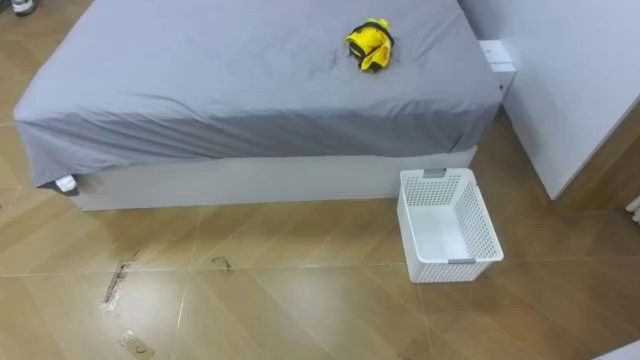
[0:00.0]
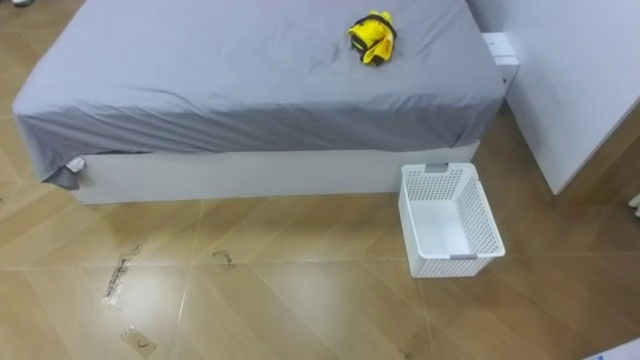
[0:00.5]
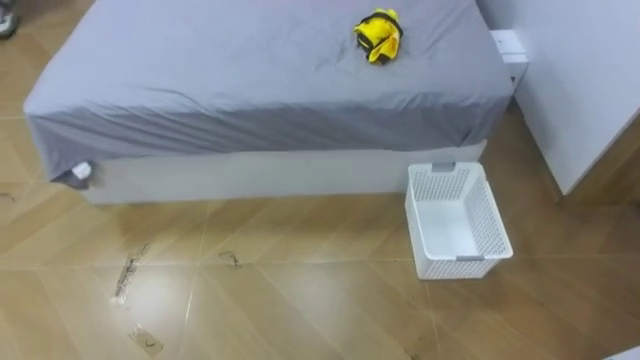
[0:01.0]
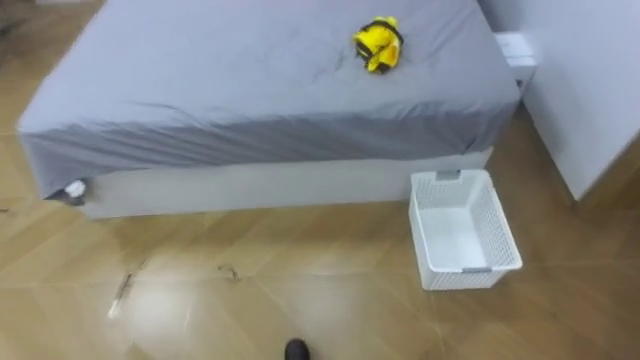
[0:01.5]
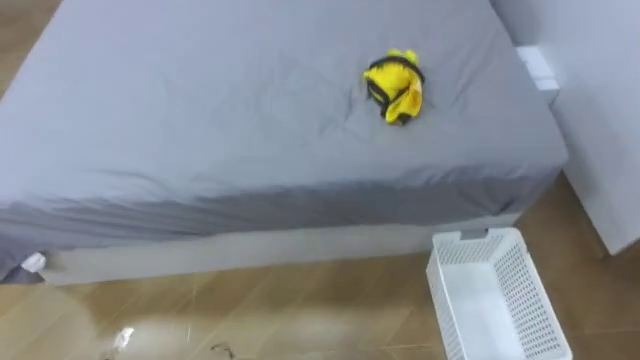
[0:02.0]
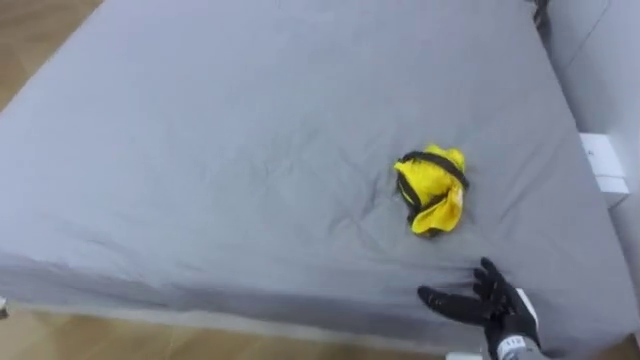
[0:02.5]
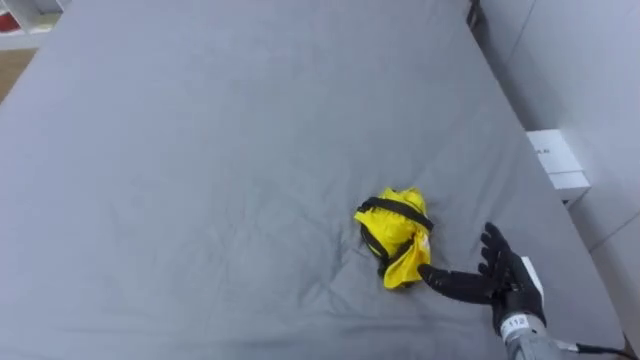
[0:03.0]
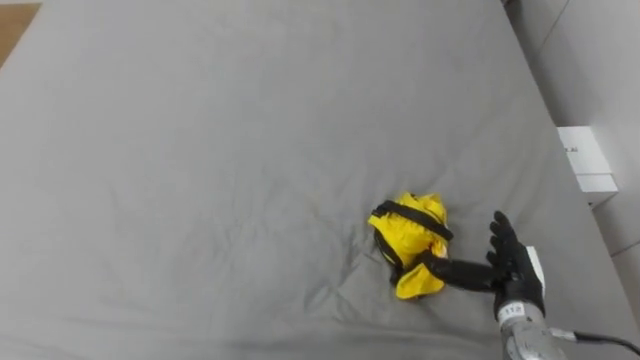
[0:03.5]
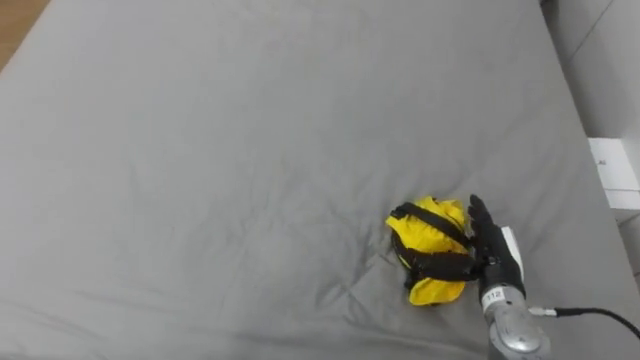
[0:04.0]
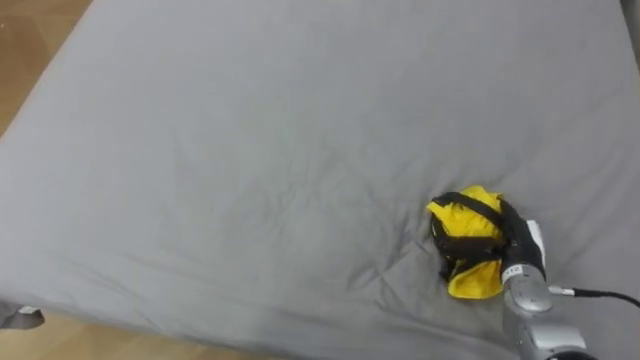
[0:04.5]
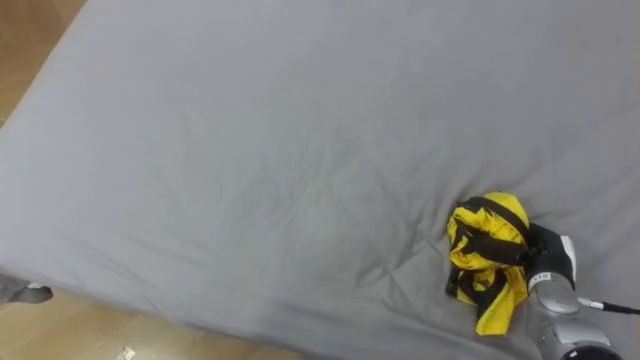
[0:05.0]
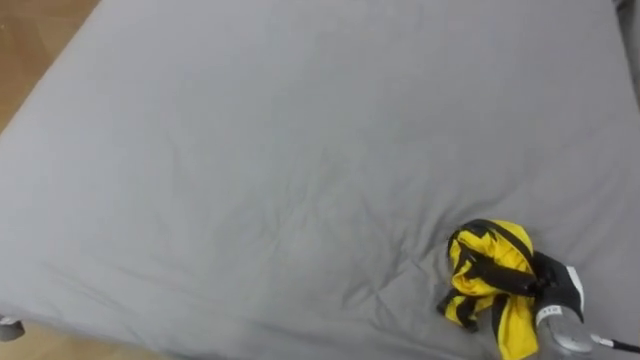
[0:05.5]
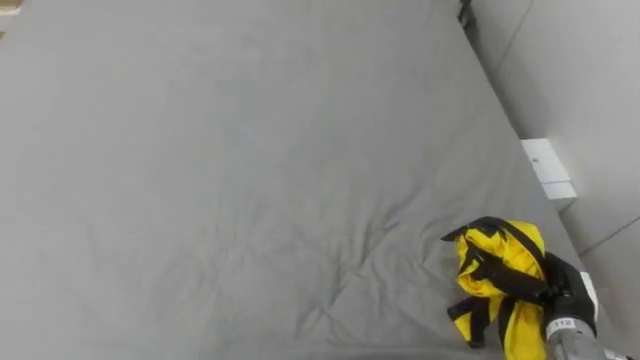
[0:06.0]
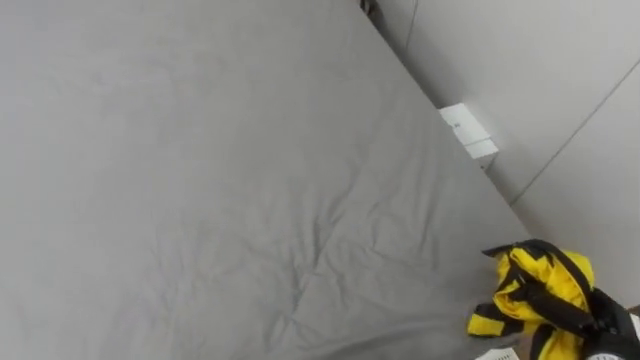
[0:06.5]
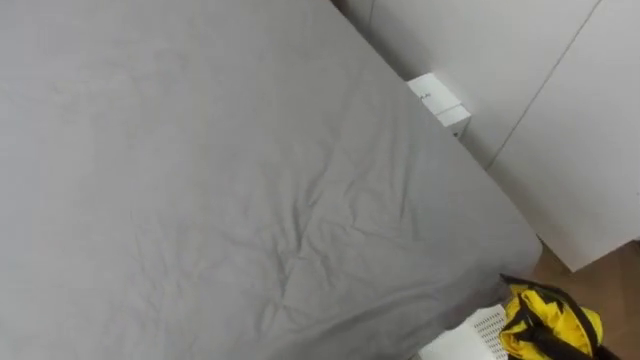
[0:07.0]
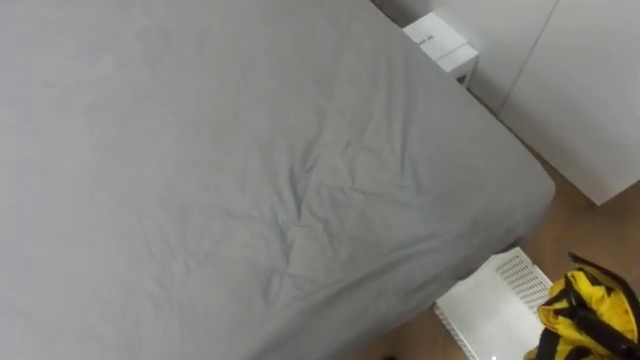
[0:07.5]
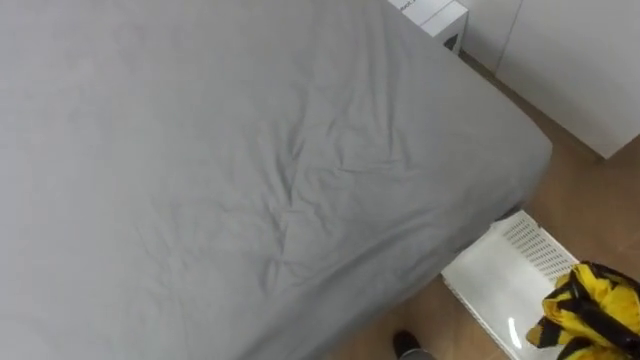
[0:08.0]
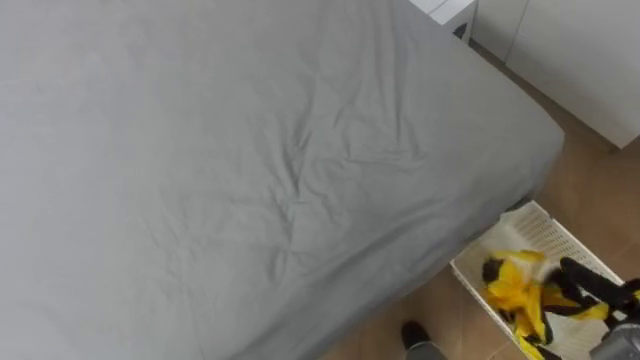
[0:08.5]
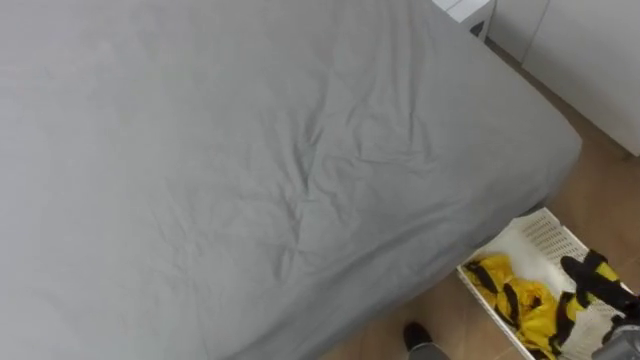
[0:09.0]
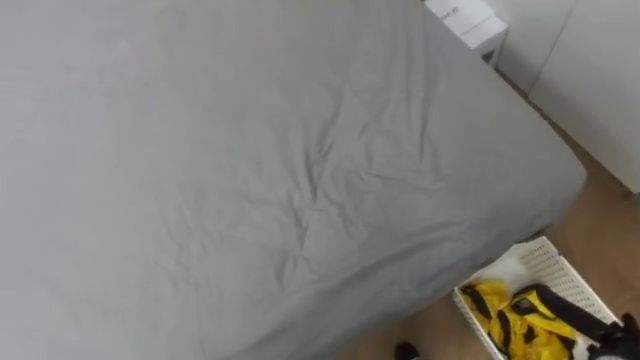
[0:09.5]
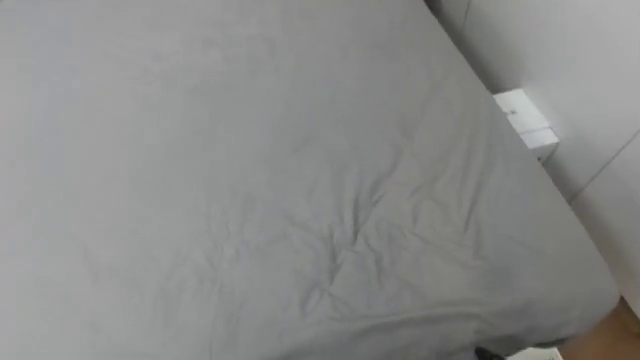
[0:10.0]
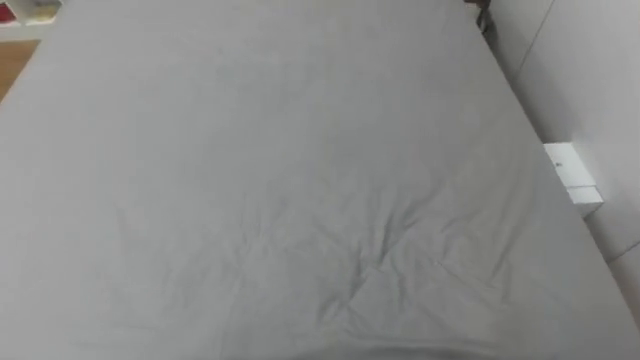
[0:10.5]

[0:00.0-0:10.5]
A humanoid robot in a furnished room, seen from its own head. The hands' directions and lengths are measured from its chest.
Task of the whole recording: Pick up the yellow clothes on the bed and place them into the white basket on the right.
0:04.0 to 0:06.5: The right hand travels to the right and backward by some 15 cm, and closes its fingers.
0:08.5 to 0:10.5: The robot turns to its left by approximately 20 degrees.

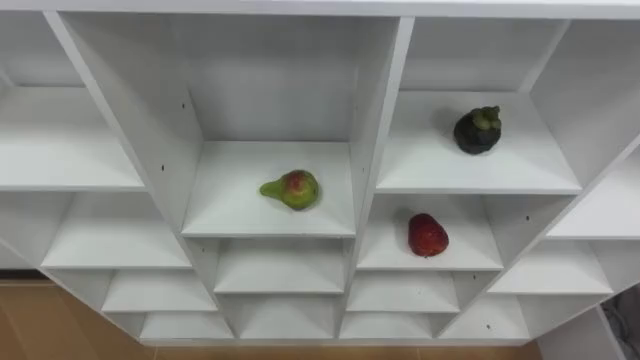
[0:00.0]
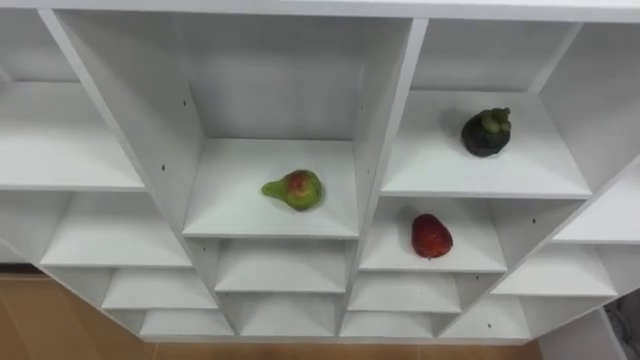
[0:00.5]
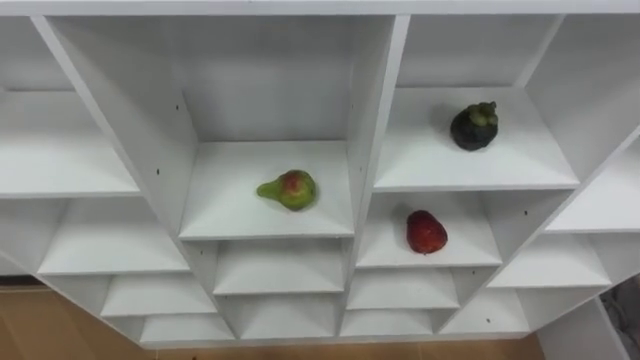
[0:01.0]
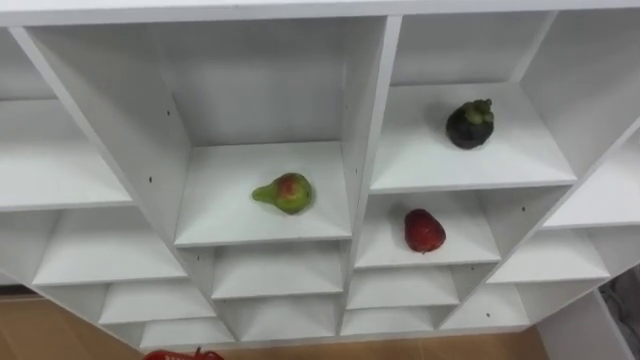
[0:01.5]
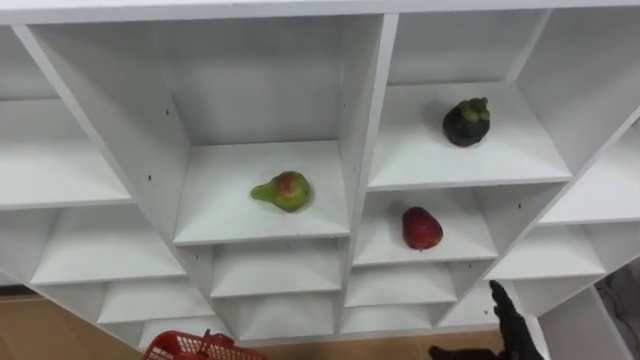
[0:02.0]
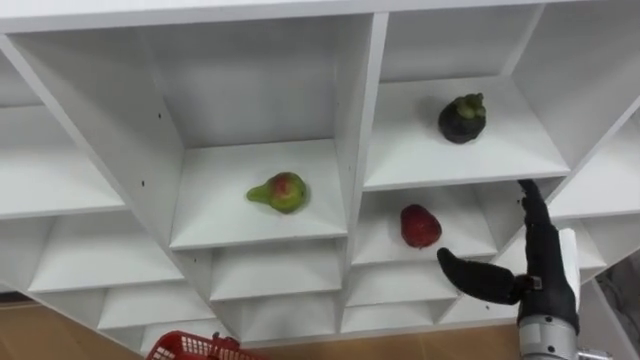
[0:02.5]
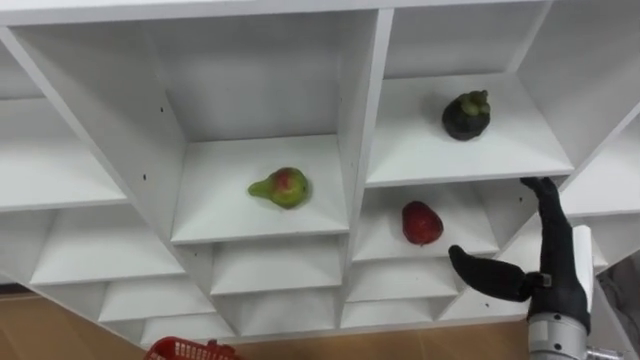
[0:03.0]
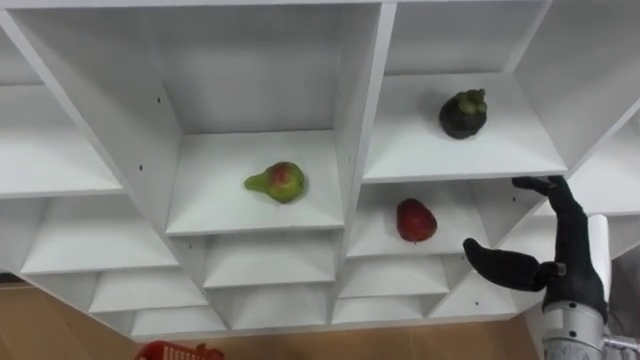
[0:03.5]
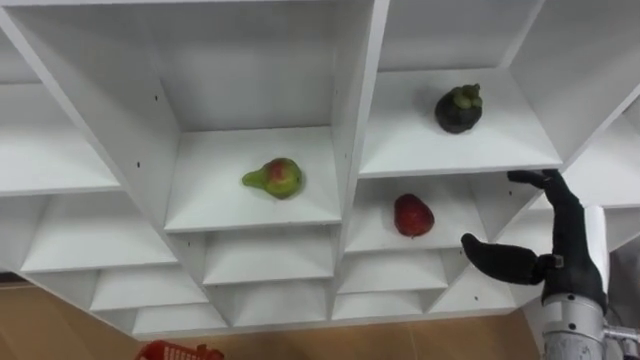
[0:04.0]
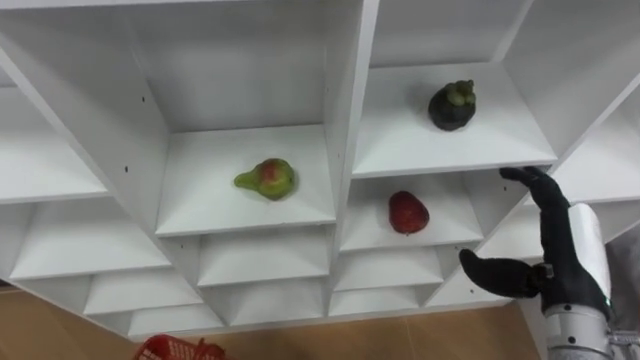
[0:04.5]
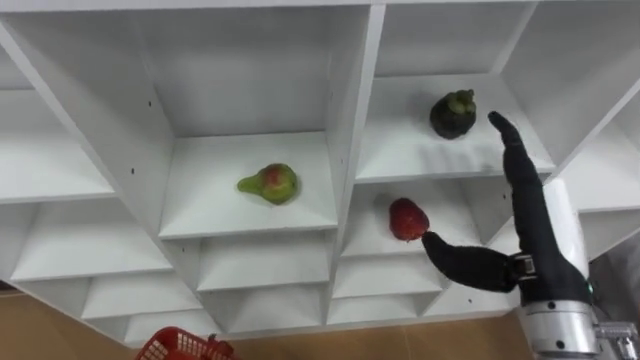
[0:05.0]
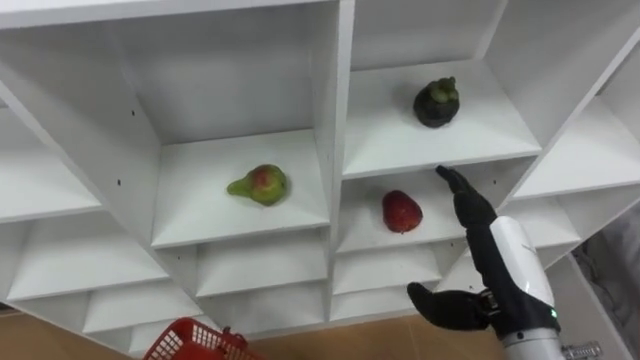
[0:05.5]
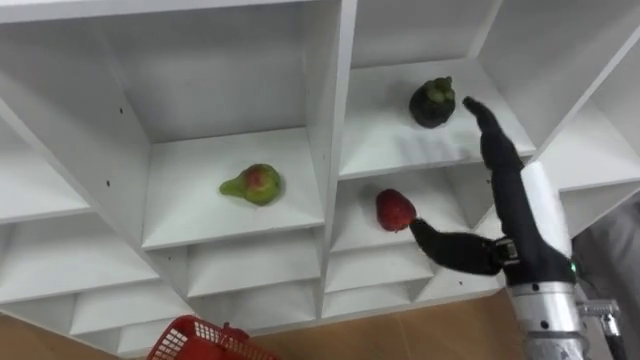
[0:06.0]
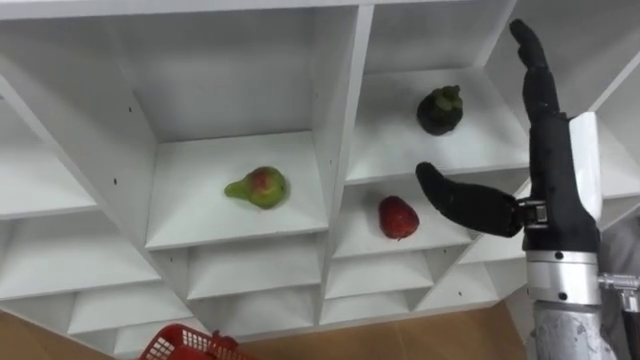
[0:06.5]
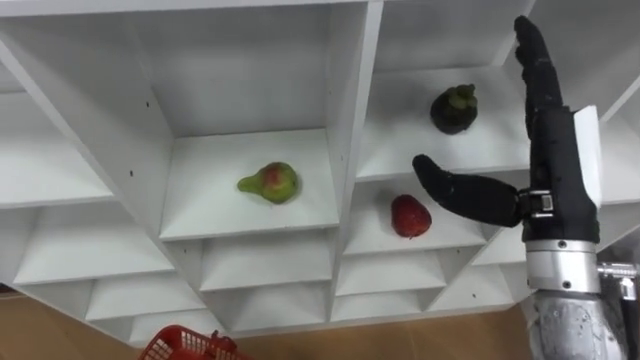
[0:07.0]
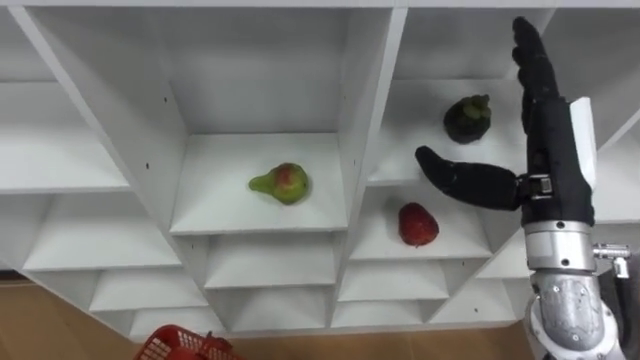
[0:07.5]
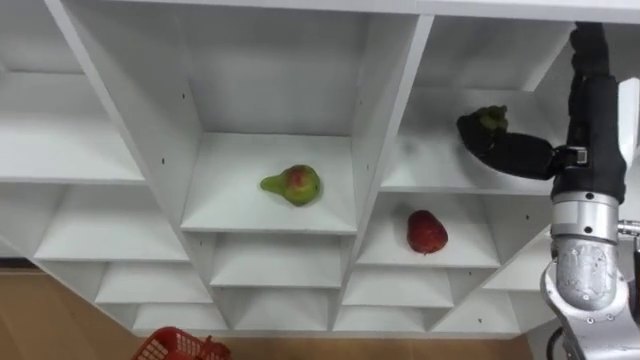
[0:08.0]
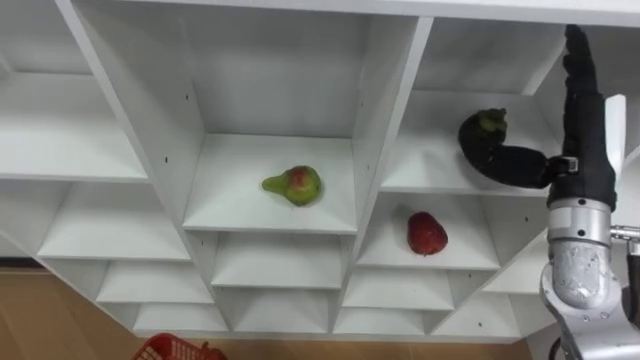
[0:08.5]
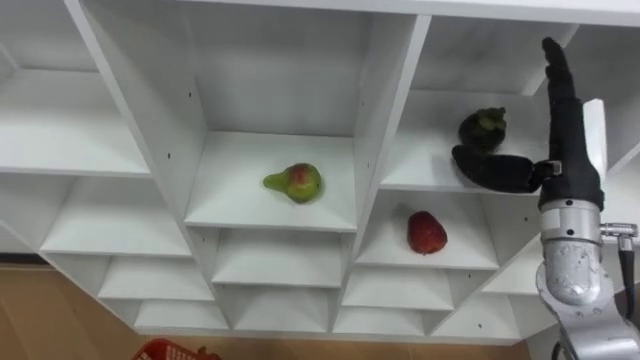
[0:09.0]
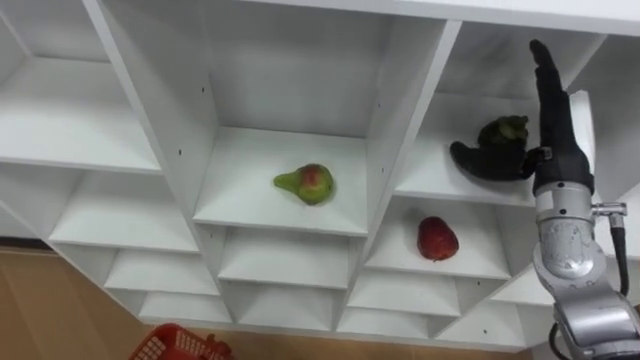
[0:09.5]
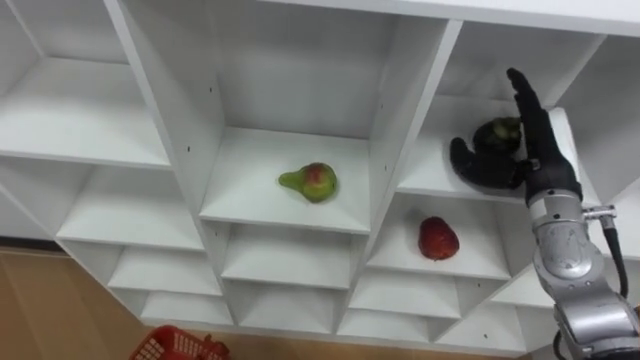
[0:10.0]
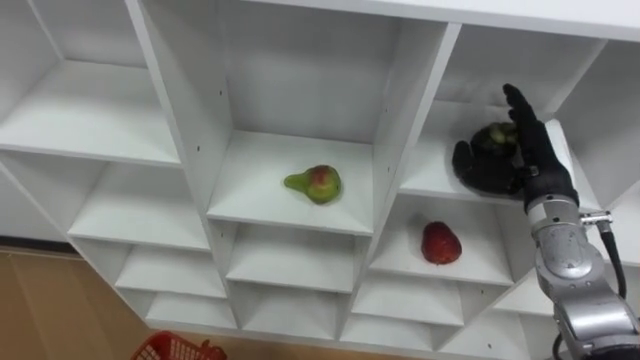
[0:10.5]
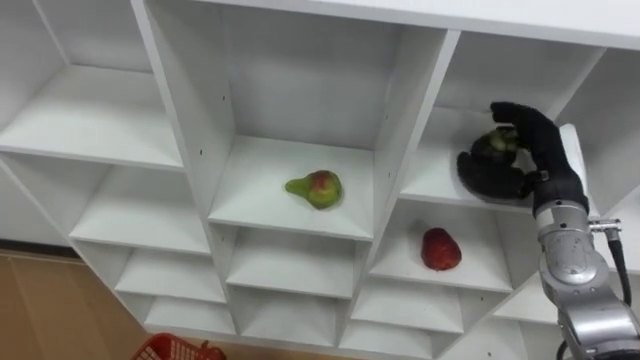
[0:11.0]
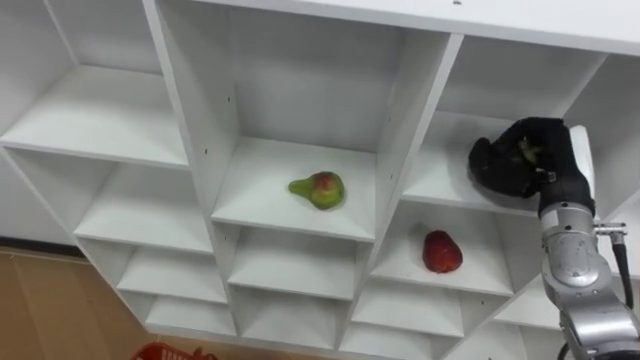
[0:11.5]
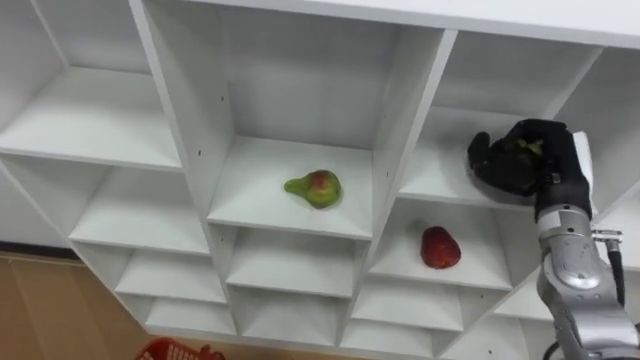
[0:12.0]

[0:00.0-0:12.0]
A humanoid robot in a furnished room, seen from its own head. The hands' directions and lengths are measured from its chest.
Task of the whole recording: Hold the basket and collect the fruits from 3 different cells of the closet into it.
0:02.0 to 0:04.0: The right hand heads upward and forward, covering approximately 15 cm.
0:04.0 to 0:06.0: The right hand moves to the left and upward, roughly 10 cm.
0:06.0 to 0:08.0: The right hand goes about 10 cm forward, upward and to the right.
0:08.0 to 0:10.0: The right hand travels downward by approximately 10 cm.
0:10.0 to 0:12.0: The right hand closes its fingers.
